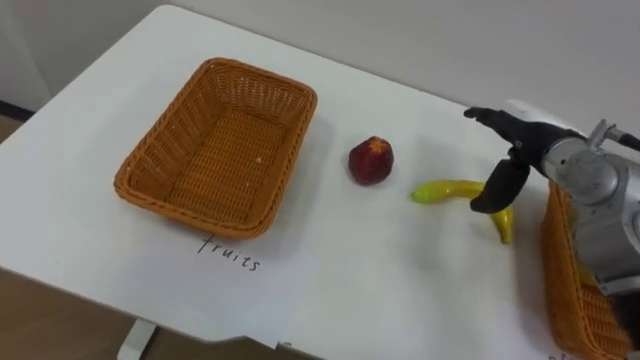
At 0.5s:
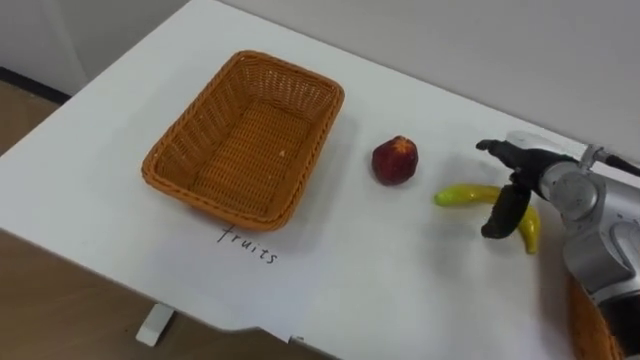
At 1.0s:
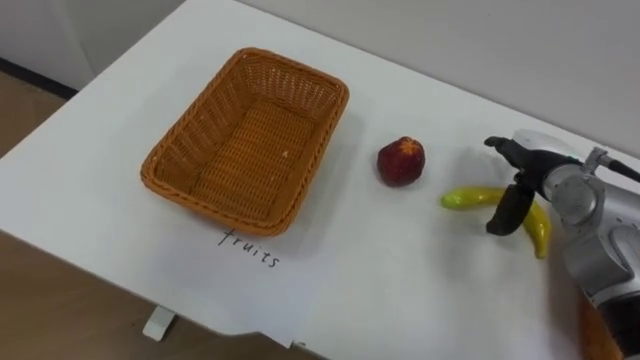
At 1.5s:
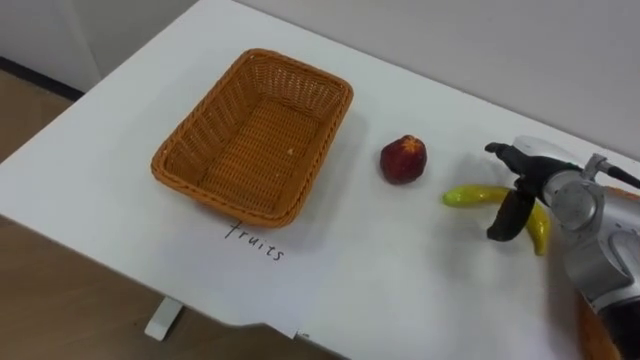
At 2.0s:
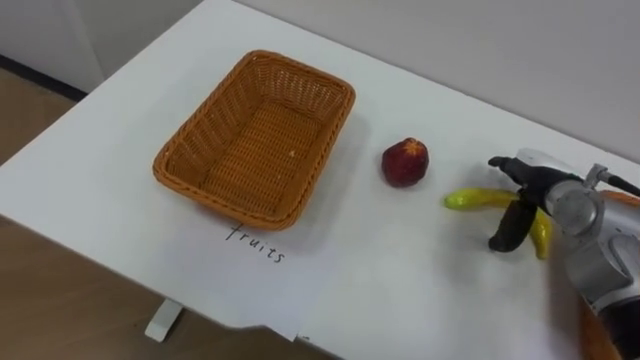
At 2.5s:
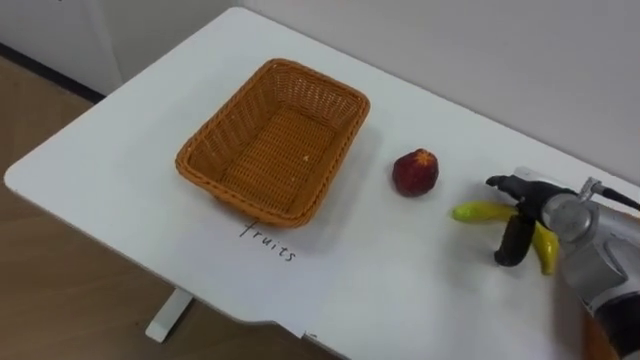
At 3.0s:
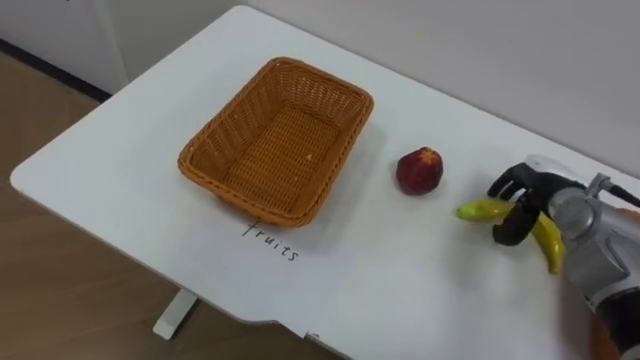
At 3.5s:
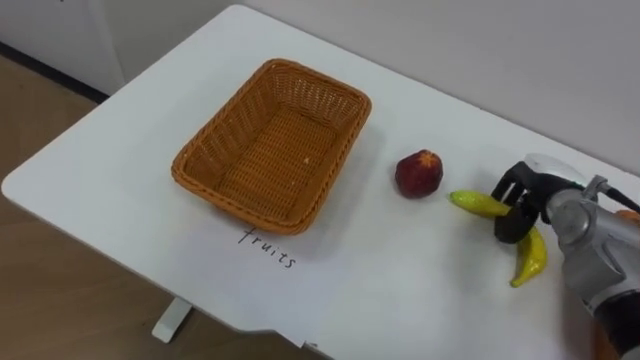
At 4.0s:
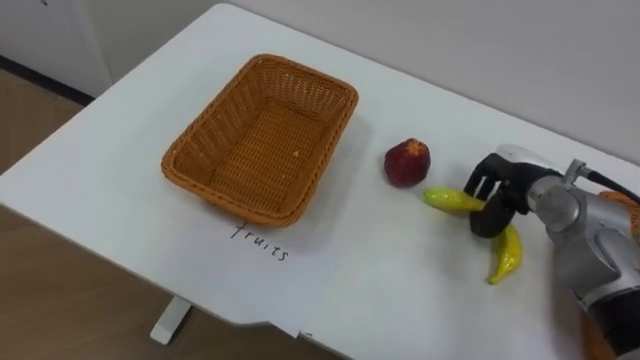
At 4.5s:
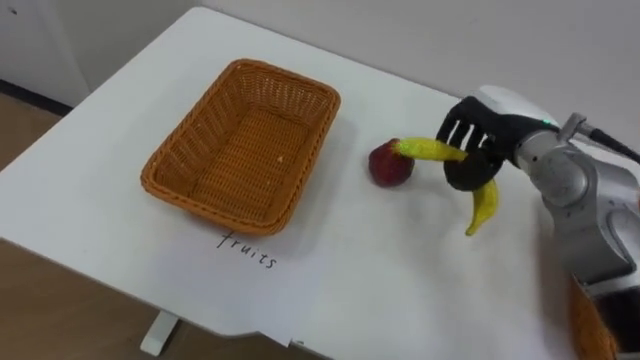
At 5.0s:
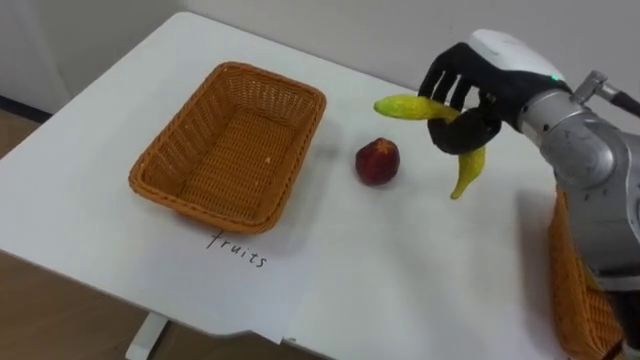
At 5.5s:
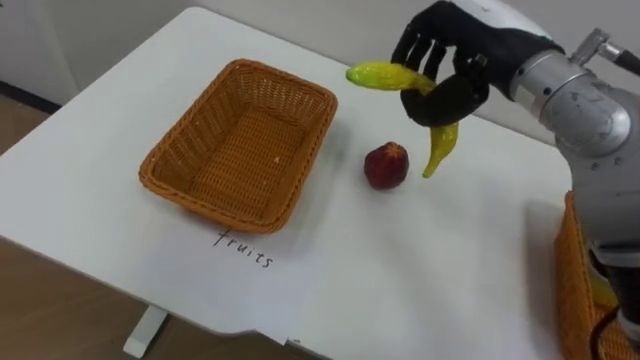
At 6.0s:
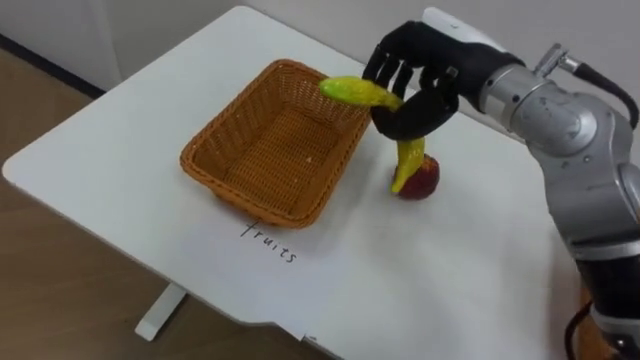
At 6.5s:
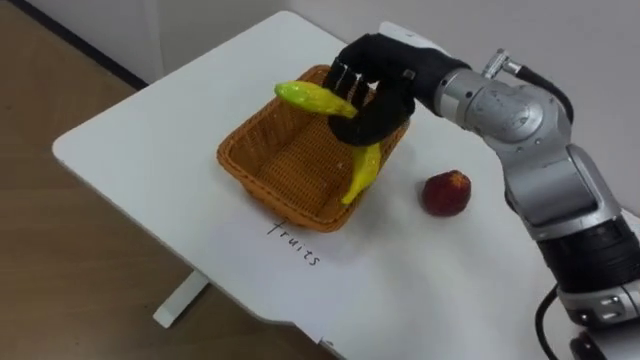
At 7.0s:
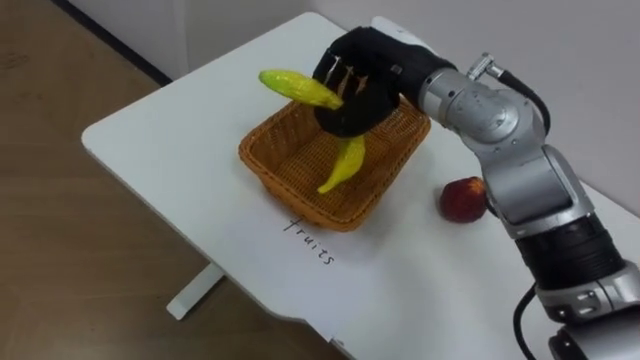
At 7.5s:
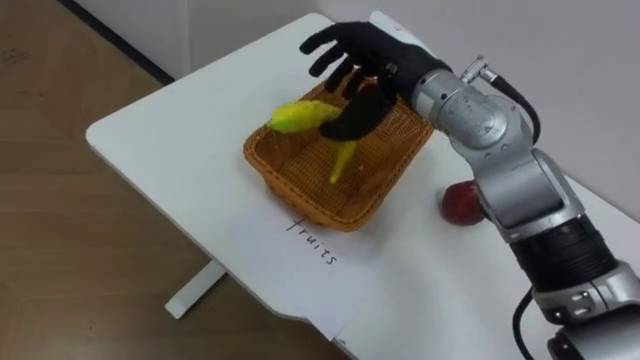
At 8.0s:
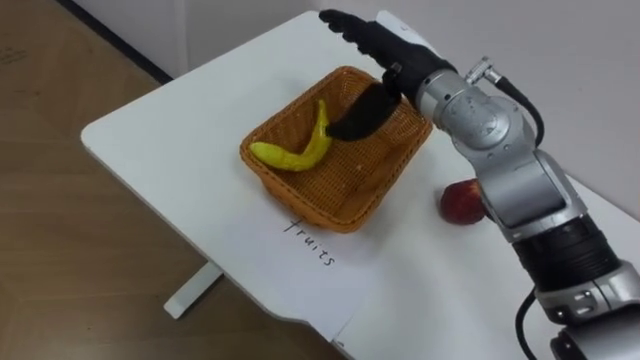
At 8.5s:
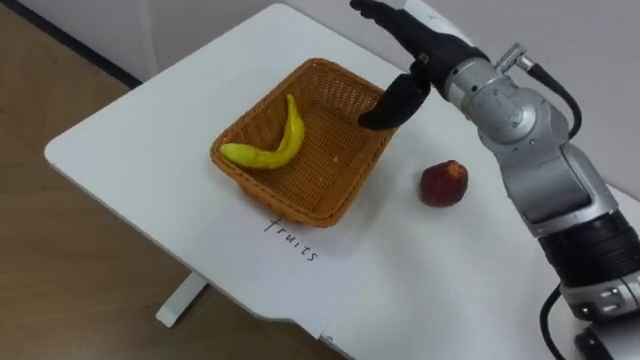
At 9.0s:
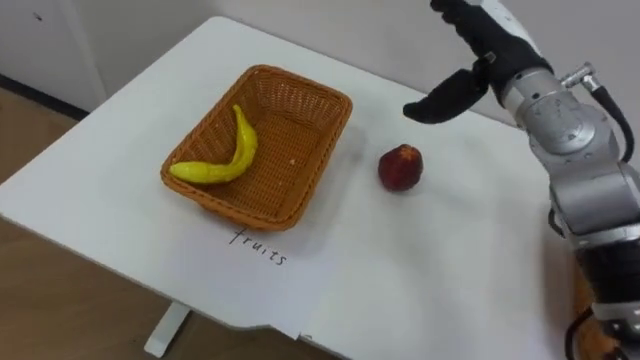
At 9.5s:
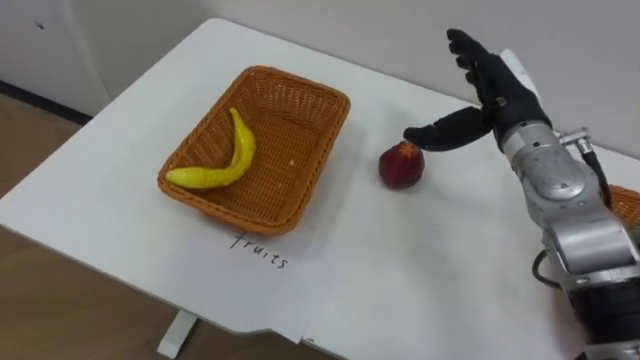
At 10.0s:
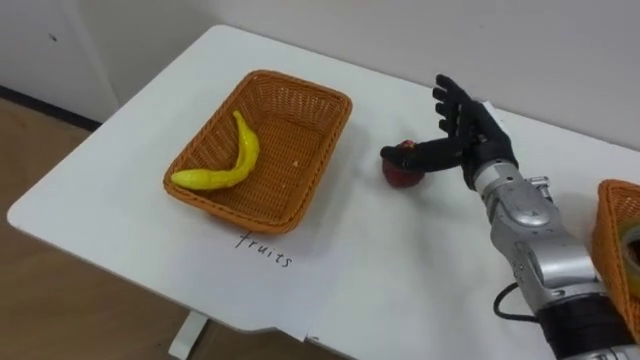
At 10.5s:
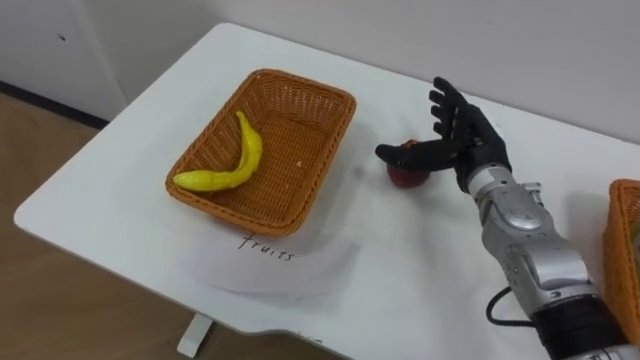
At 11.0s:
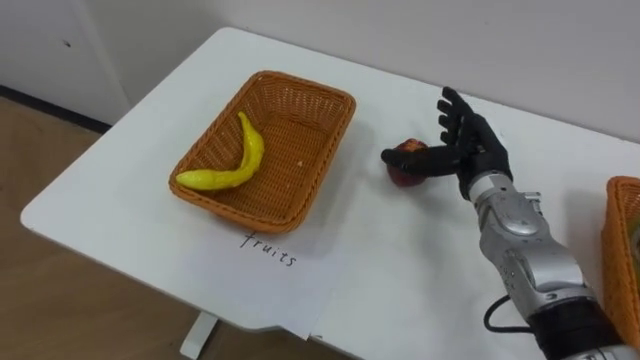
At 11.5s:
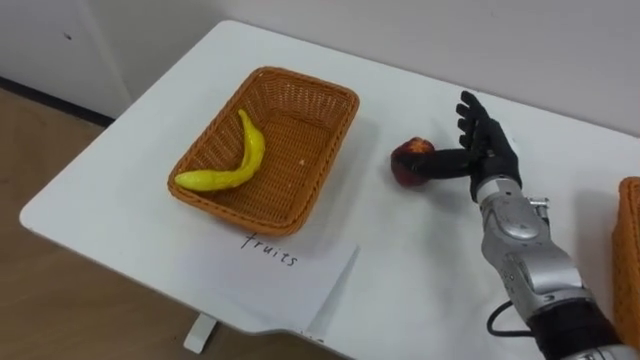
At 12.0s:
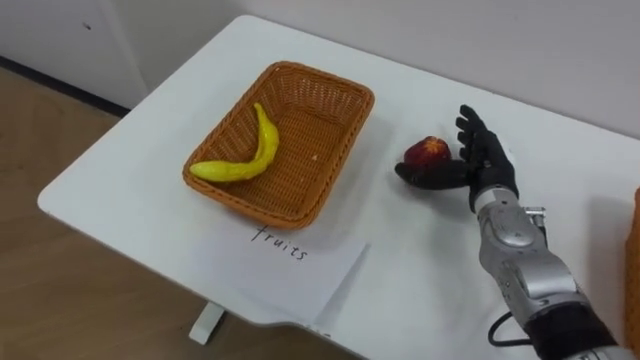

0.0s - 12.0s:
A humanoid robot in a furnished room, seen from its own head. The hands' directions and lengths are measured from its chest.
Task of the whole recording: Separate the items on the table and place them into the two baskets.
0.0s - 2.0s: The right hand travels downward by about 5 cm.
2.0s - 4.0s: The right hand closes.
4.0s - 6.0s: The right hand goes roughly 20 cm upward and to the left.
6.0s - 8.0s: The right hand heads to the left, covering roughly 5 cm, and opens.
8.0s - 10.0s: The right hand goes some 15 cm to the right and downward.
10.0s - 12.0s: The right hand shifts by roughly 5 cm.

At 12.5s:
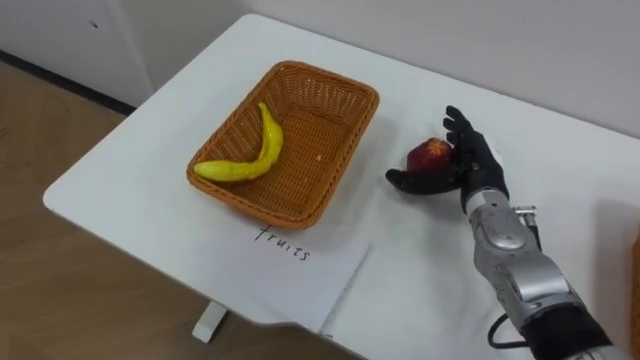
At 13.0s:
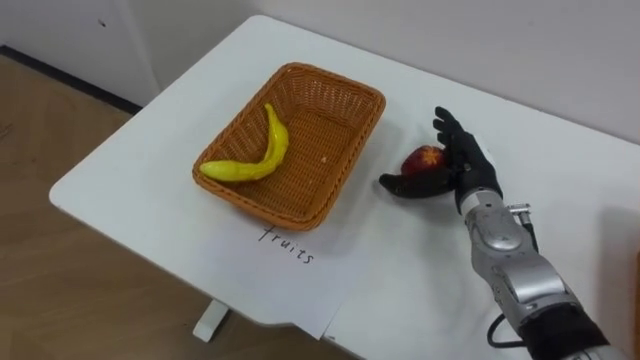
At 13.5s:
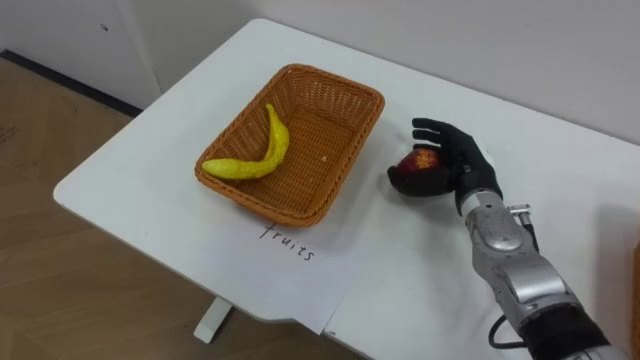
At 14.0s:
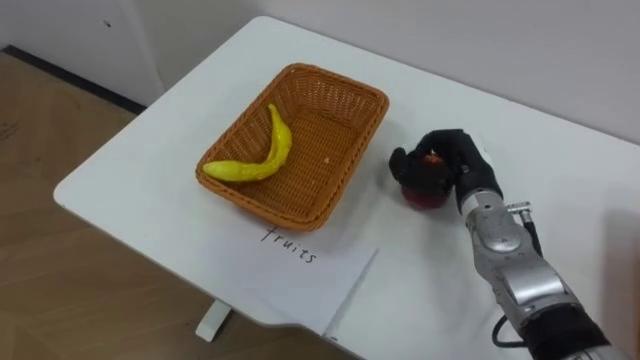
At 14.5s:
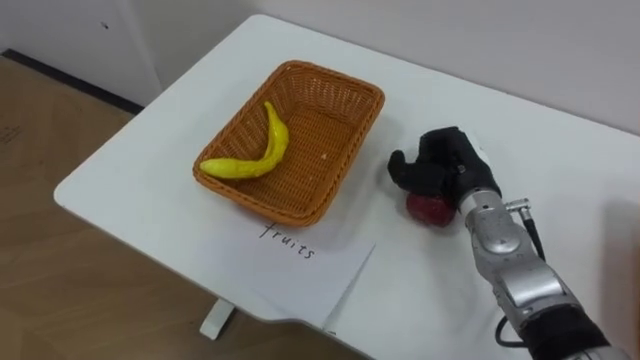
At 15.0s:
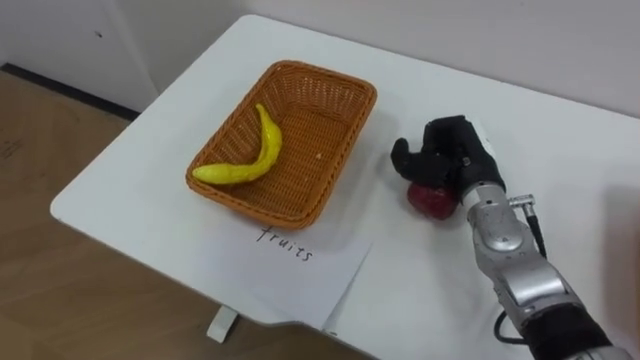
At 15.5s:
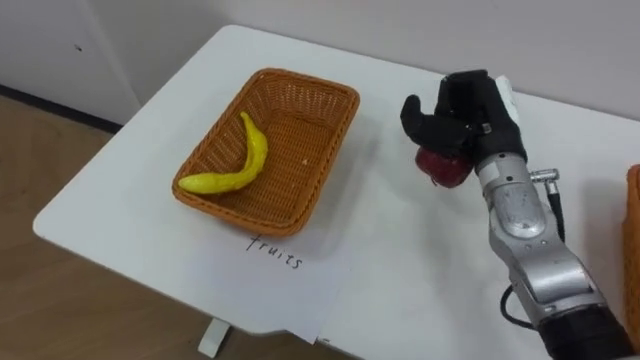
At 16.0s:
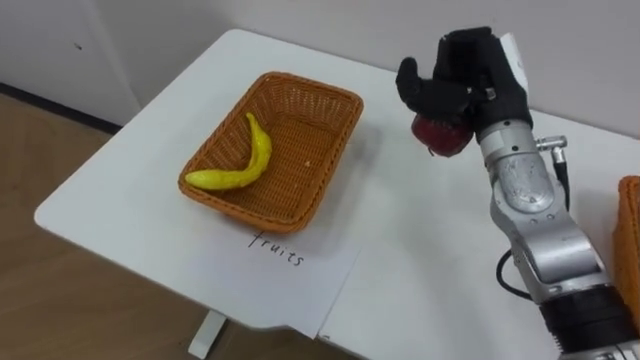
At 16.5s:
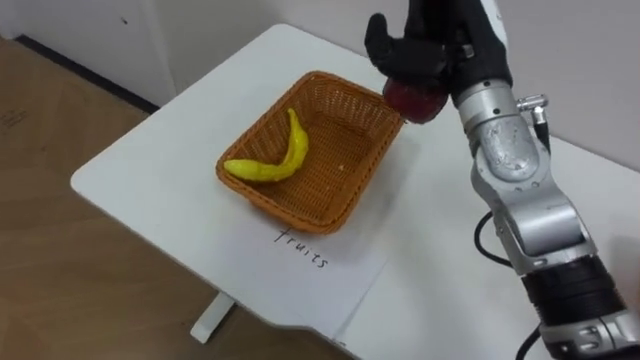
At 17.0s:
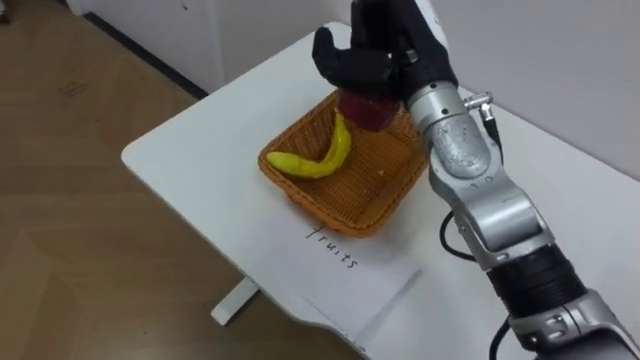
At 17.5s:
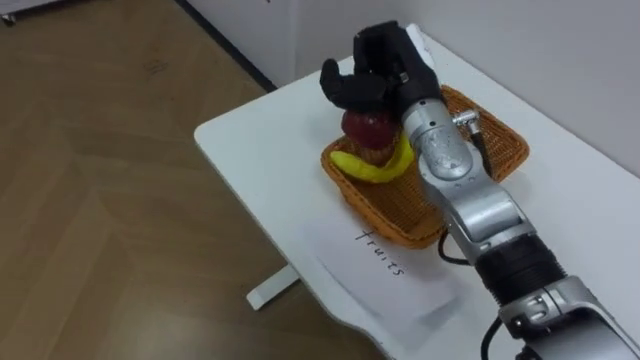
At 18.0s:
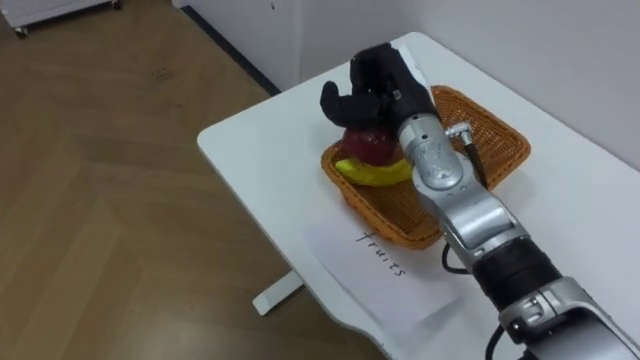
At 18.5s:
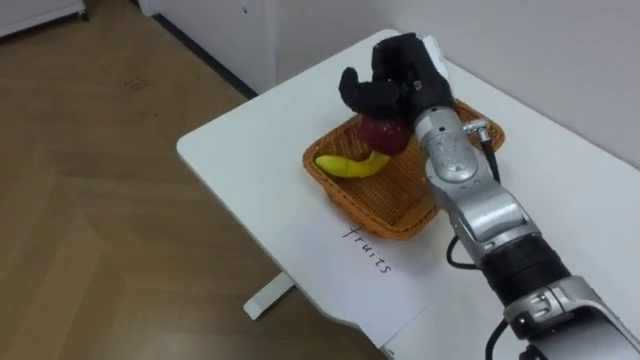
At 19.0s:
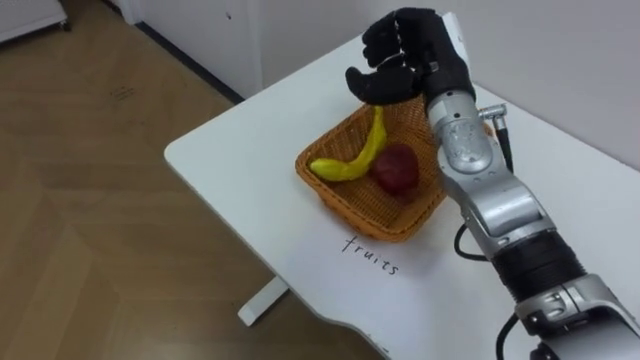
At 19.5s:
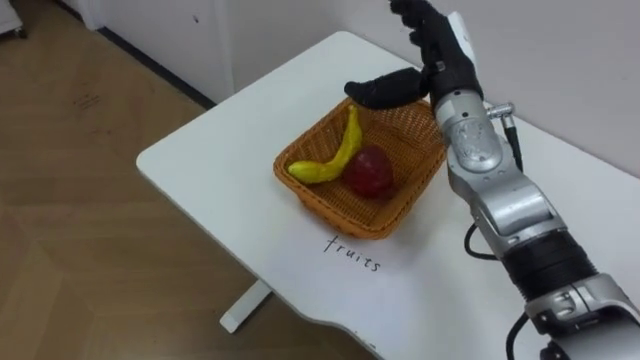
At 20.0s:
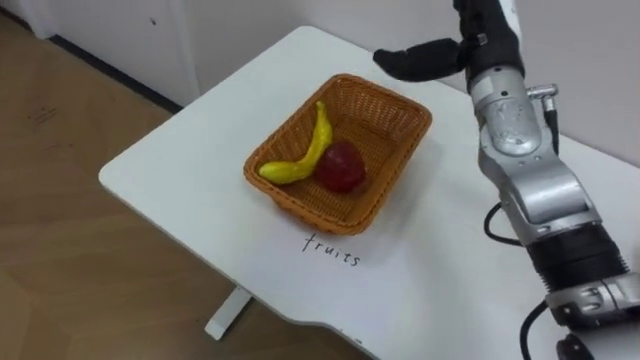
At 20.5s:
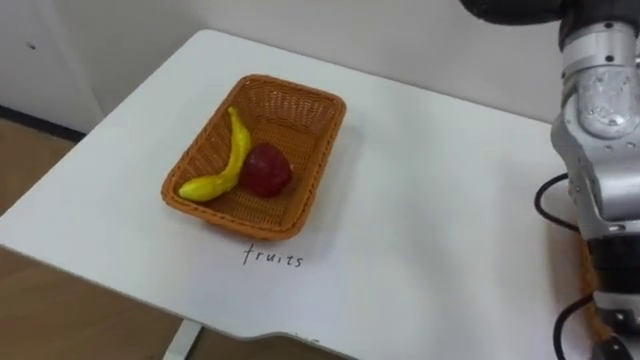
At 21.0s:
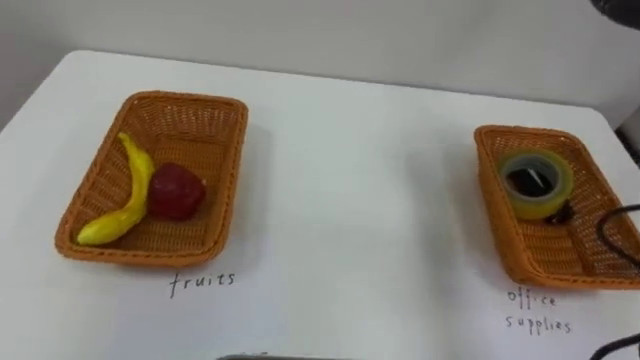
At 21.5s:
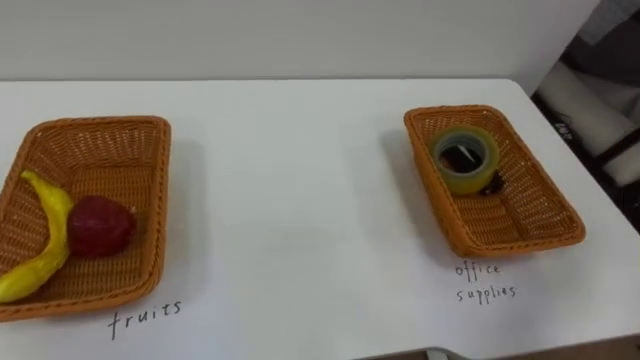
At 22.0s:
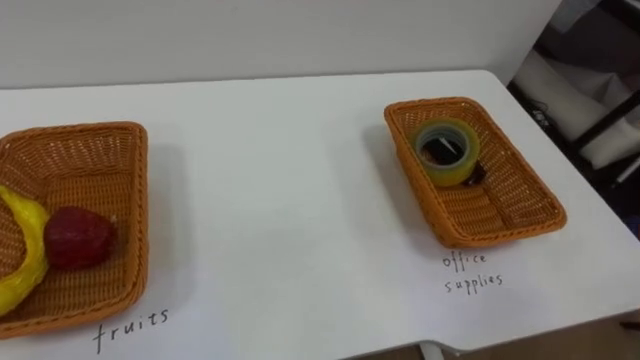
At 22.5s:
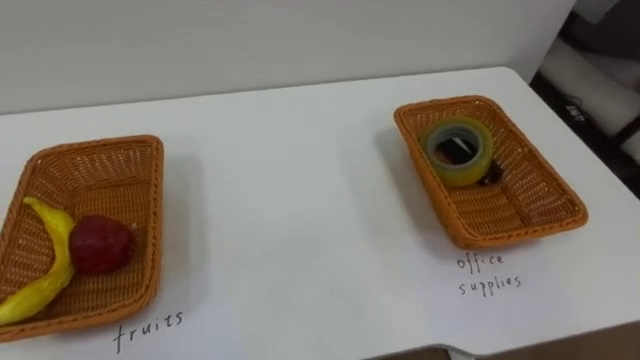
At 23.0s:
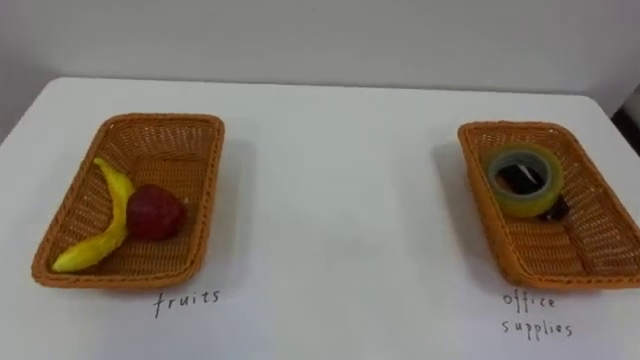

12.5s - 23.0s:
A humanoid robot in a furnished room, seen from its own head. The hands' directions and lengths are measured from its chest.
Task of the whole recording: Separate the items on the table and place them into the two baskets.
12.5s - 14.5s: The right hand closes up.
14.5s - 16.5s: The right hand goes some 20 cm upward.
16.5s - 19.0s: The right hand opens up.
